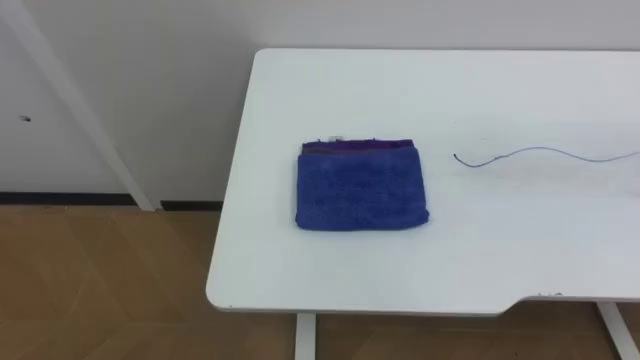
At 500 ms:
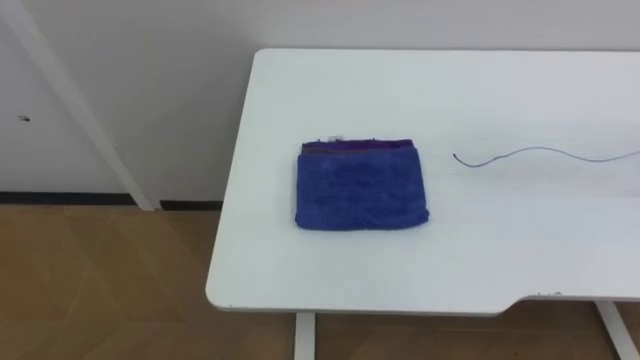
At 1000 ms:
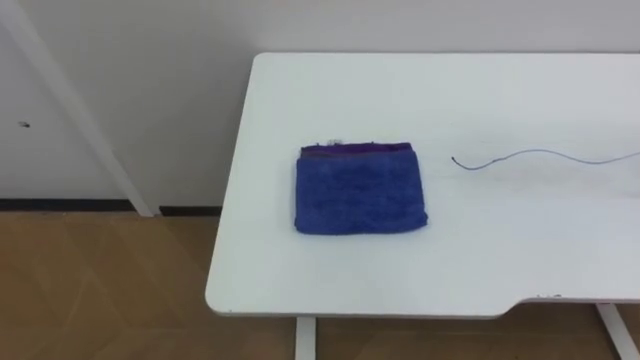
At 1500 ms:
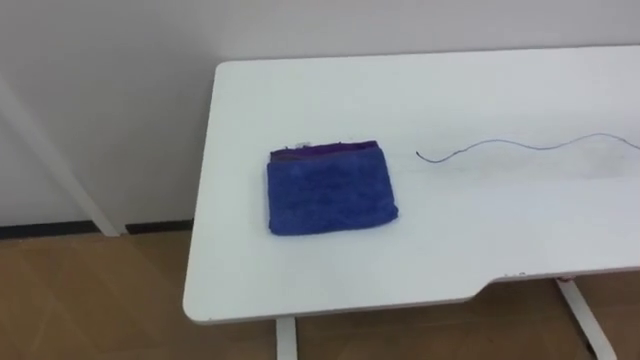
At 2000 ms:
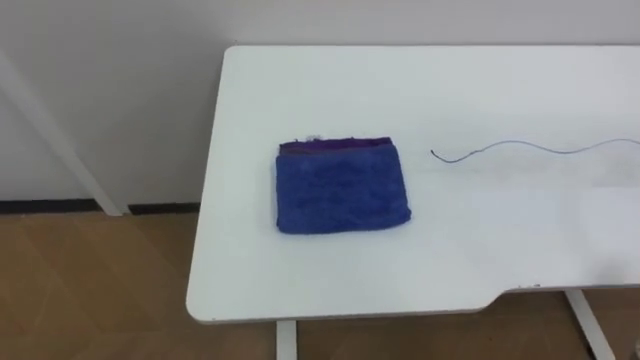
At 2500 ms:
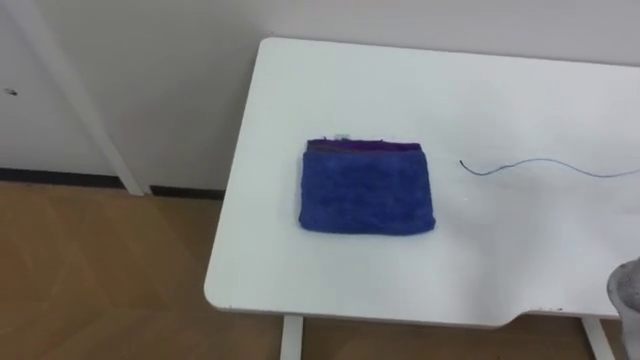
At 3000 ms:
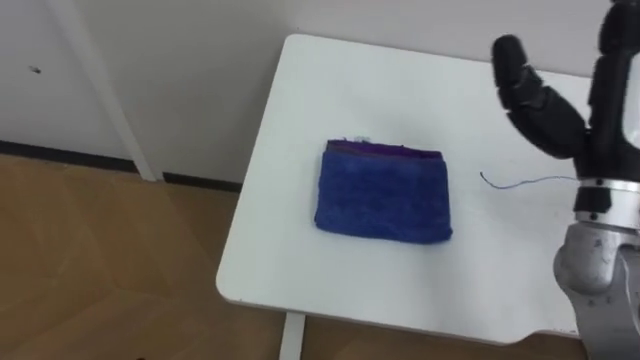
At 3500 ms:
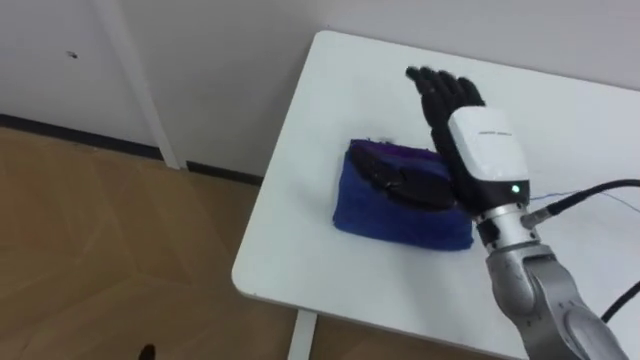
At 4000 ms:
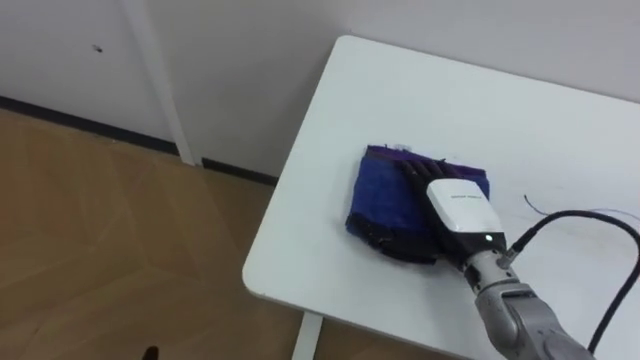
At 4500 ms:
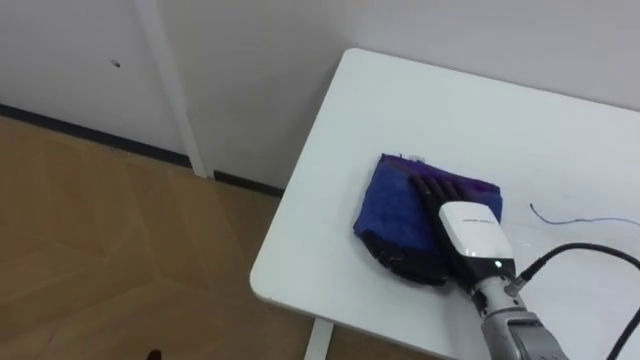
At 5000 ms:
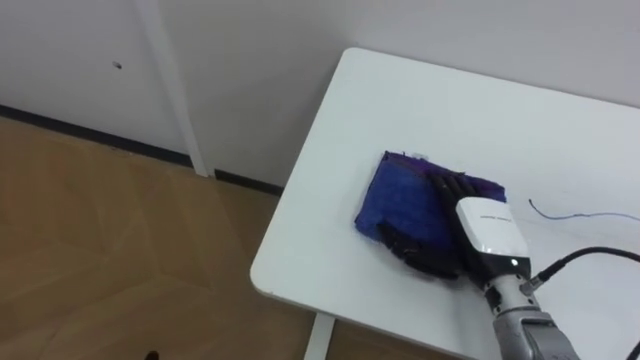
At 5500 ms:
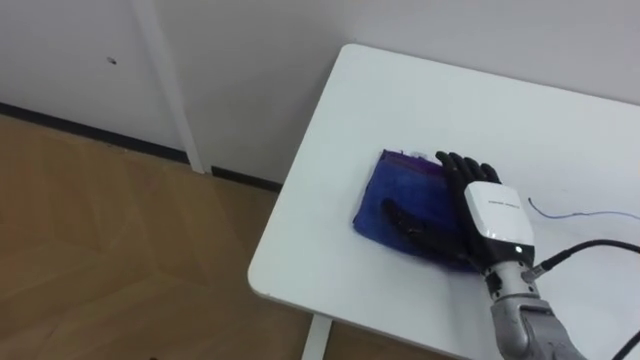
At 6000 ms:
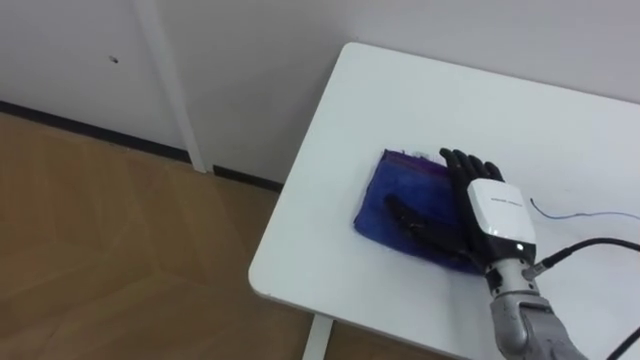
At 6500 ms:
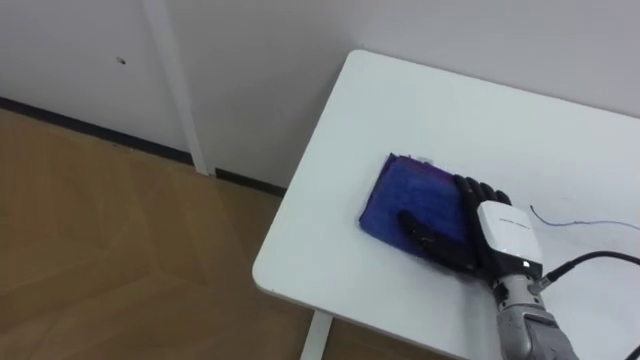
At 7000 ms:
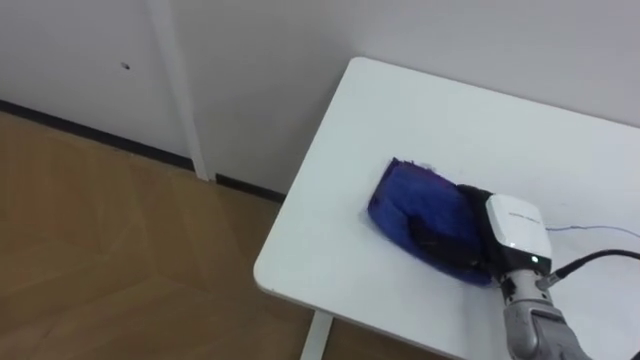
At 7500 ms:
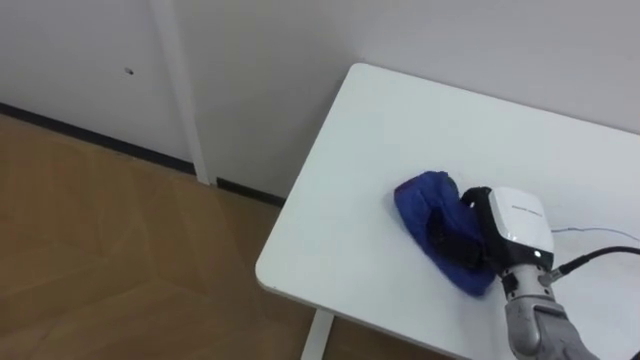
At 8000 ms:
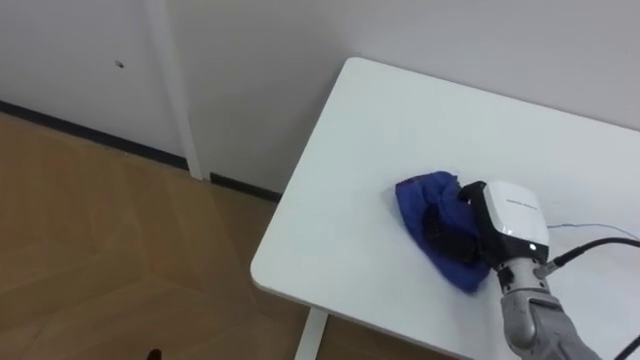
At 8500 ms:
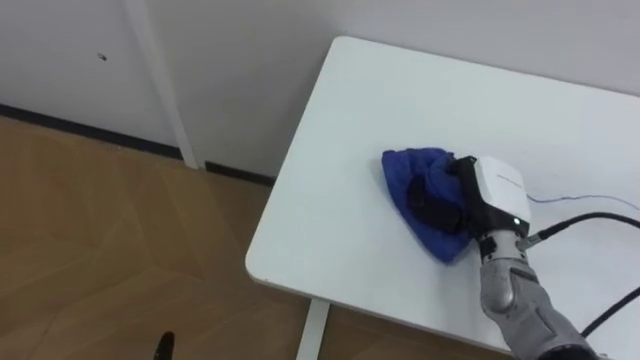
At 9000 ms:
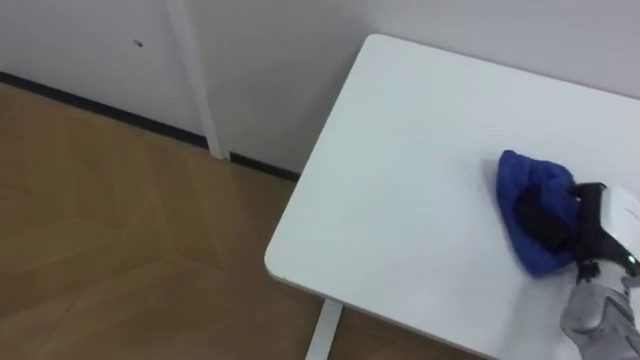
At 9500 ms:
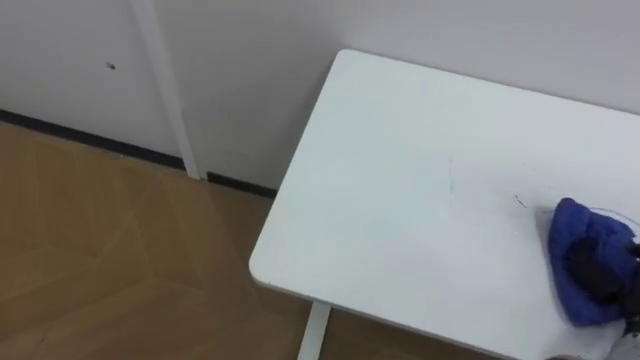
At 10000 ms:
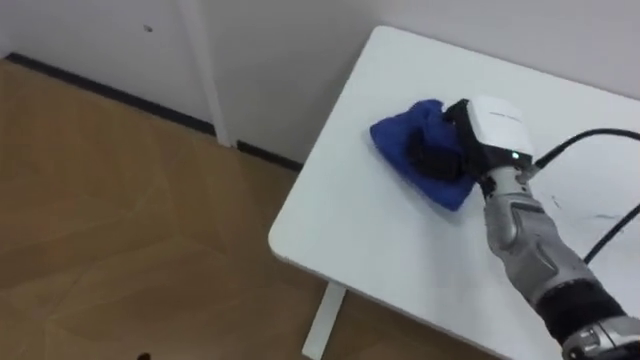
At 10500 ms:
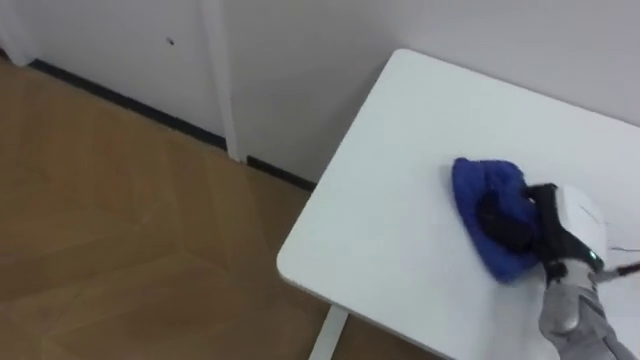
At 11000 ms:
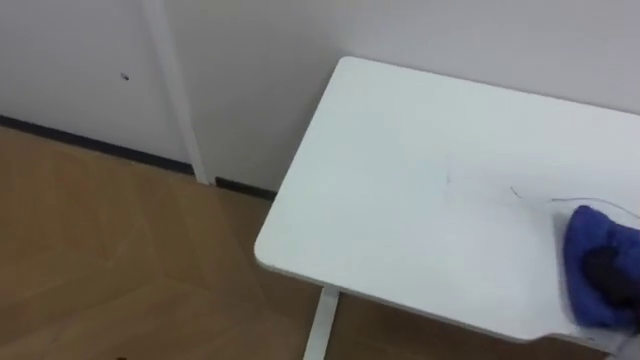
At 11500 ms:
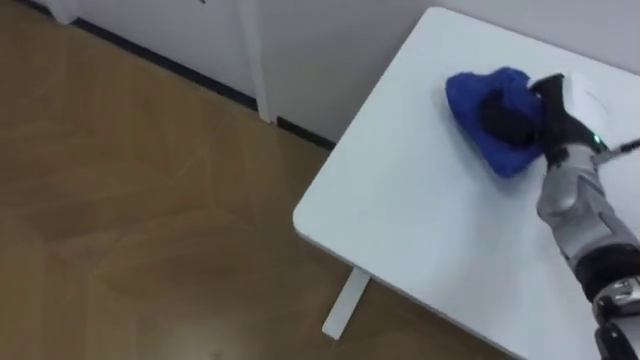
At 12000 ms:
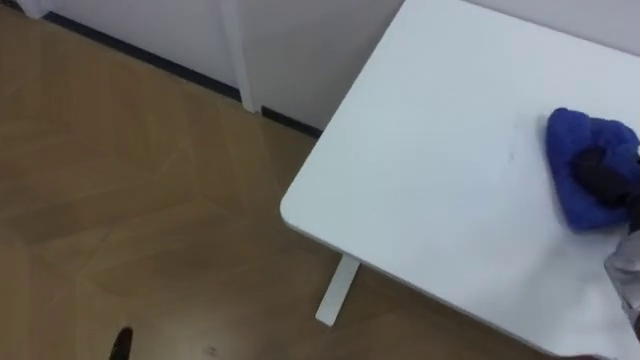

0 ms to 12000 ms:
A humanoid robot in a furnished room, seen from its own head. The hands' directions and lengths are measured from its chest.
Task of the whole recording: Wipe the blue pen marks off the table with the rag.
6000 ms to 8000 ms: The right hand closes up.

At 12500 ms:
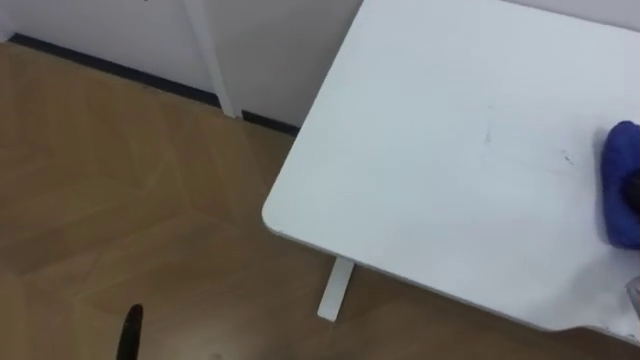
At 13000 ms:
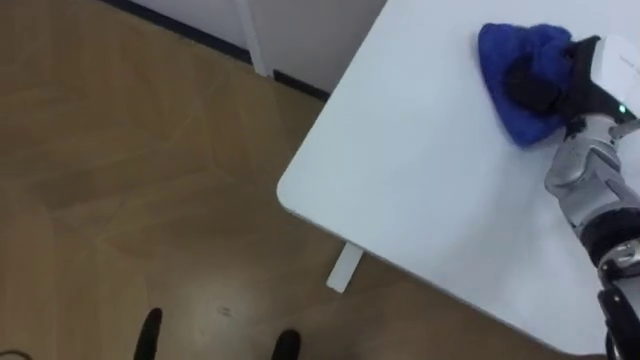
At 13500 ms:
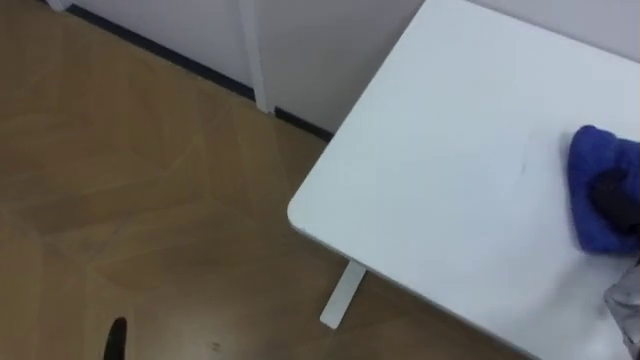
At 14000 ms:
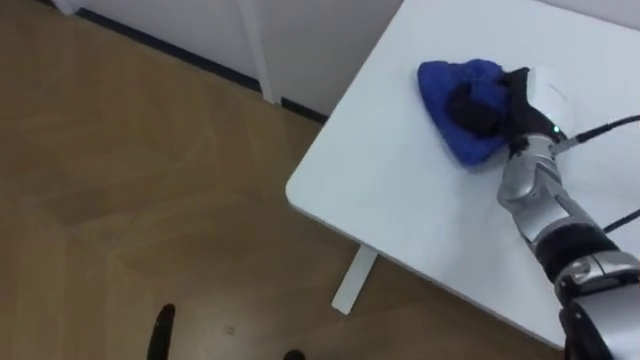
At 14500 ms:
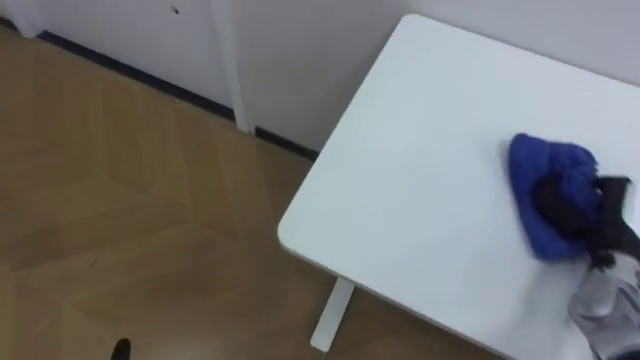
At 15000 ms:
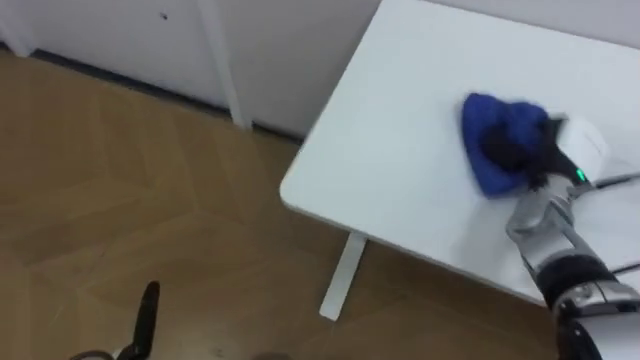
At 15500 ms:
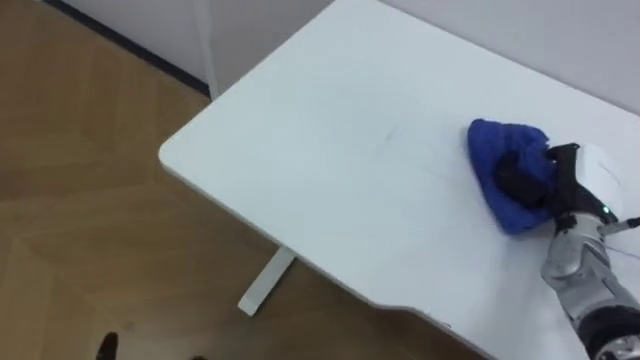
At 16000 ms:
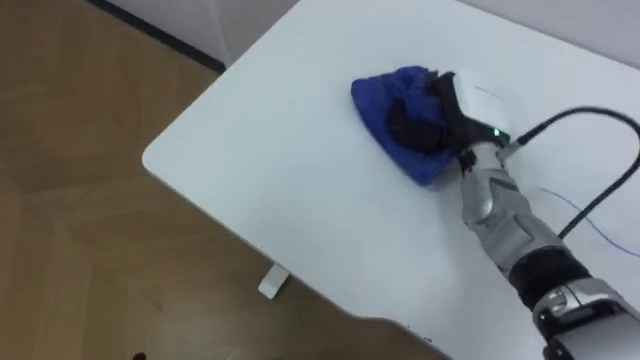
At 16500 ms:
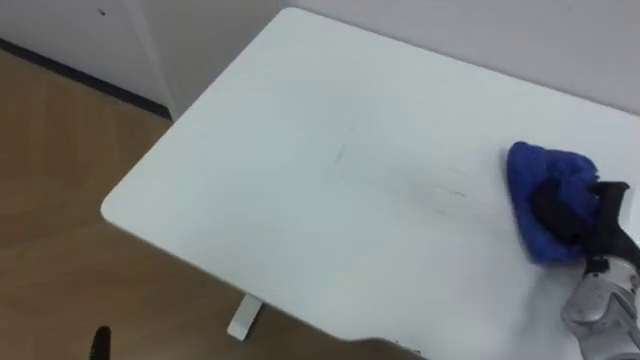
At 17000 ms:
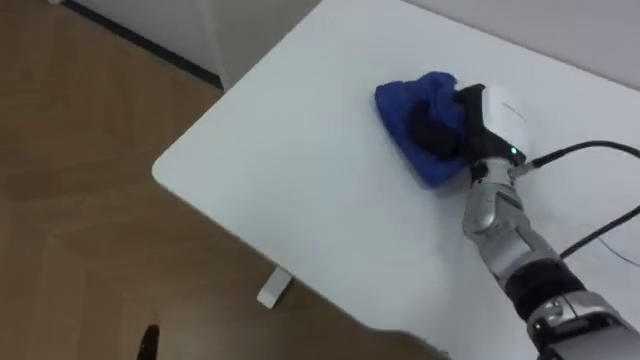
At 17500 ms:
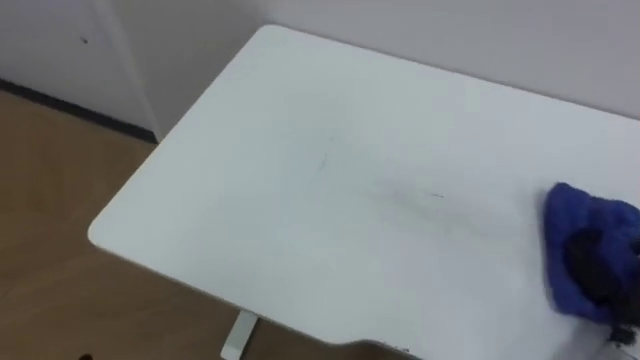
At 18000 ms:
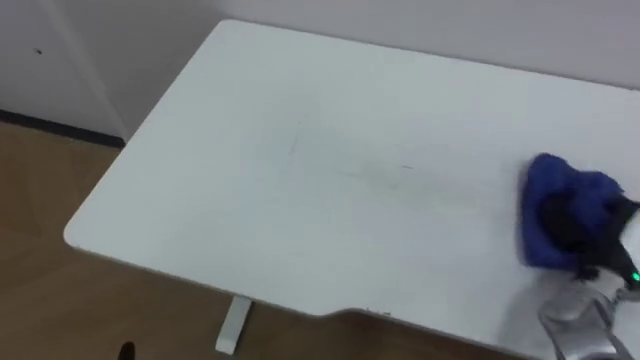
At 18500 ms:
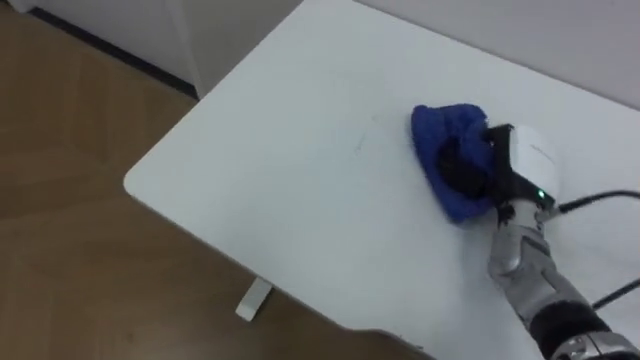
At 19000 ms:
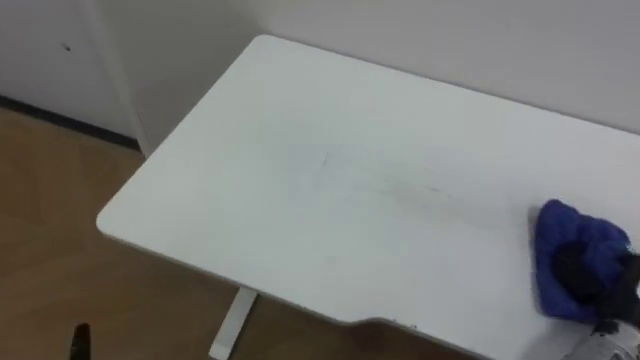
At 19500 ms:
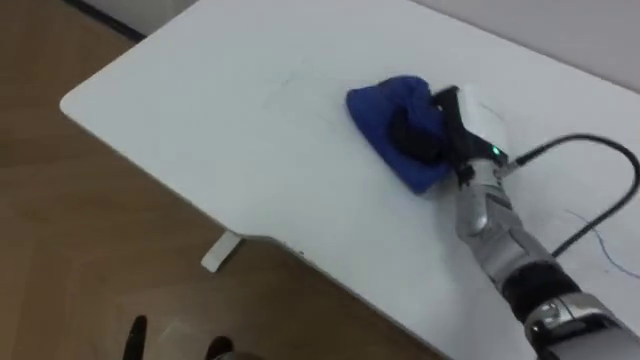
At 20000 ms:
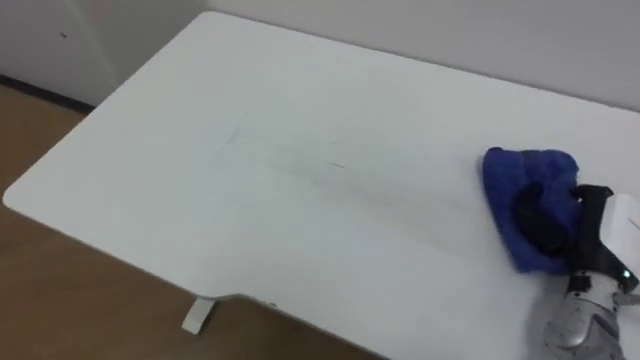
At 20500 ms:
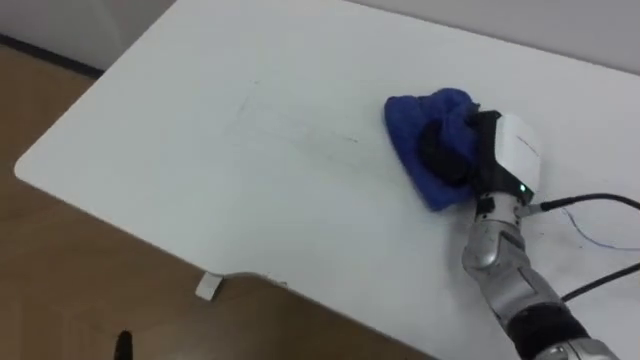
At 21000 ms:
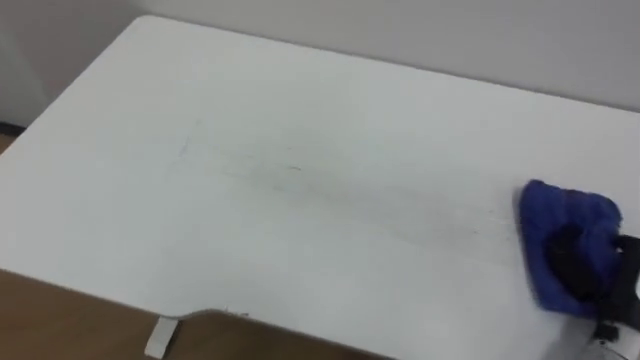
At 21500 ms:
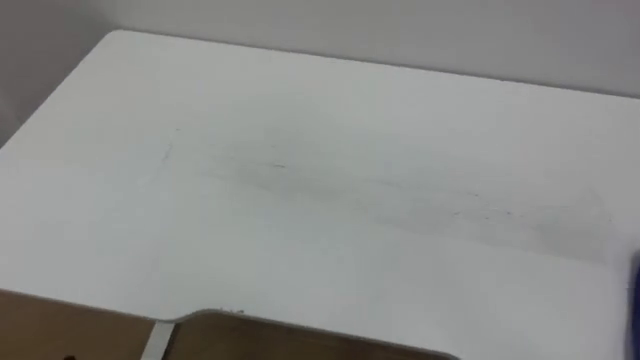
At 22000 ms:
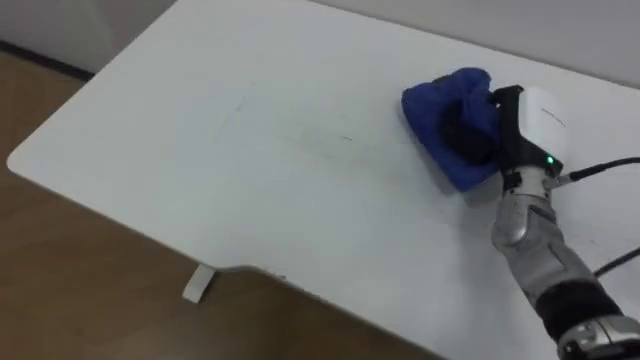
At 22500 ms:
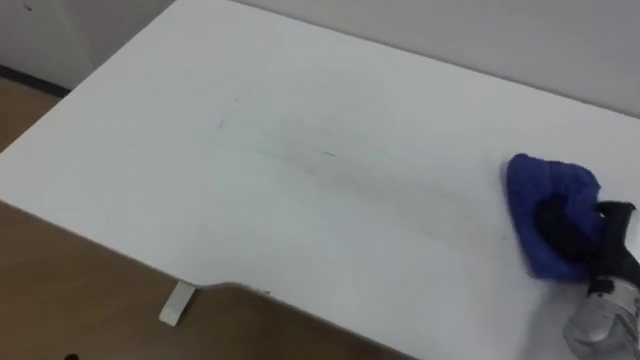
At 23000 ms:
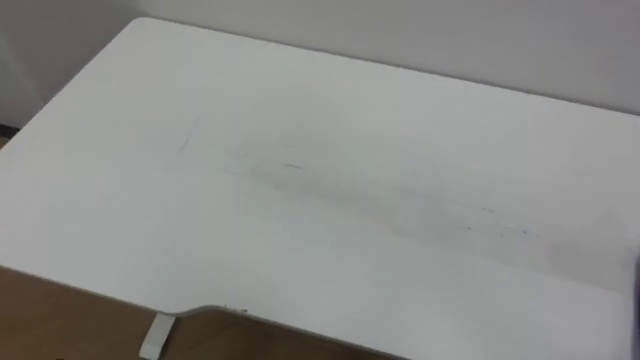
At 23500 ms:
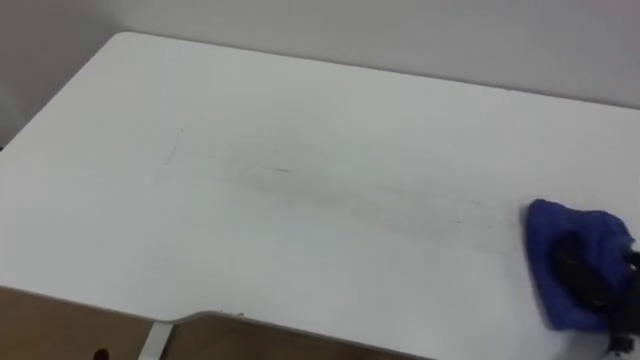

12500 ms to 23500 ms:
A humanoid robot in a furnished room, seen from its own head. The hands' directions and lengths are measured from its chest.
Task of the whole recording: Wipe the blue pen marks off the table with the rag.
14500 ms to 16000 ms: The right hand shifts approximately 25 cm to the left, forward and upward.
18000 ms to 20000 ms: The right hand swings forward and backward, approximately 20 cm each way, with 3 reversals.
